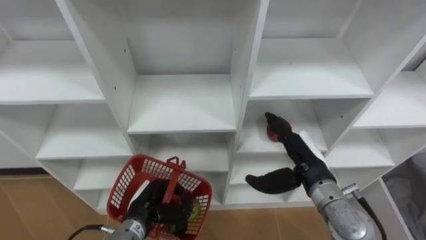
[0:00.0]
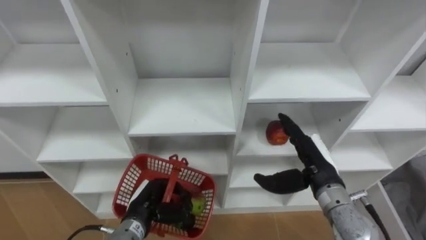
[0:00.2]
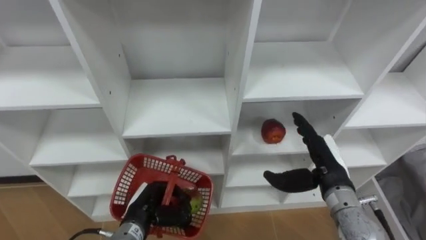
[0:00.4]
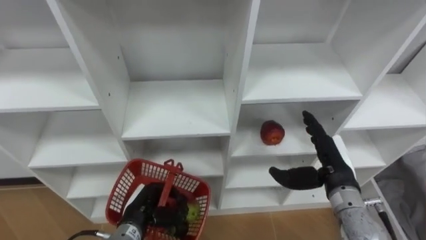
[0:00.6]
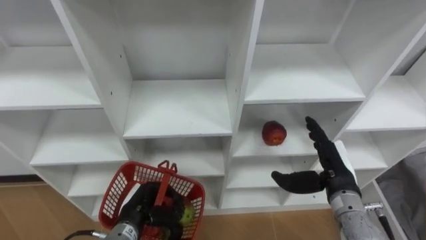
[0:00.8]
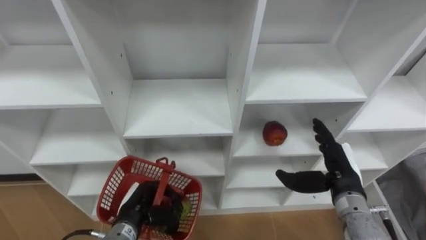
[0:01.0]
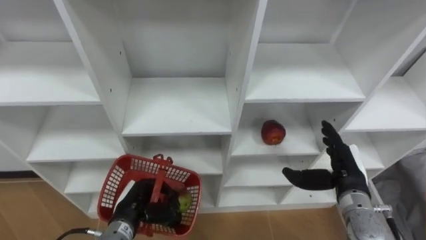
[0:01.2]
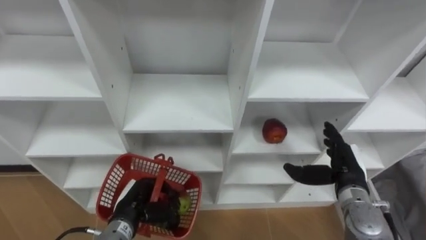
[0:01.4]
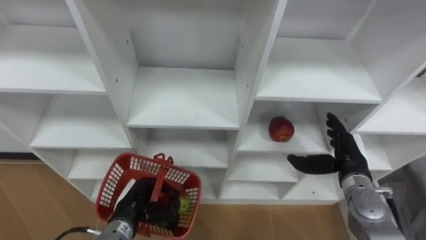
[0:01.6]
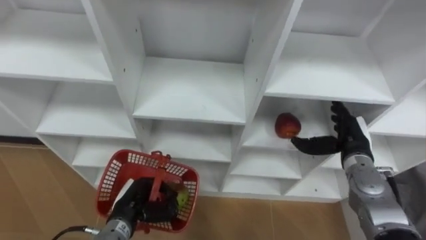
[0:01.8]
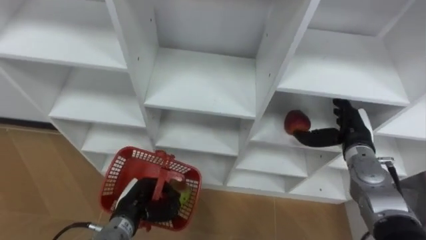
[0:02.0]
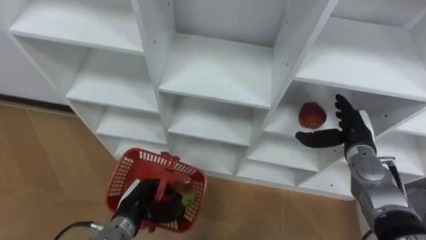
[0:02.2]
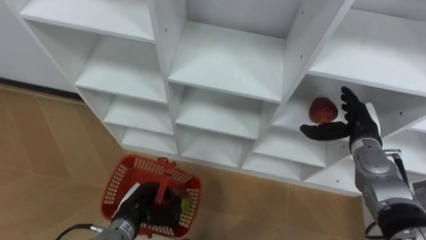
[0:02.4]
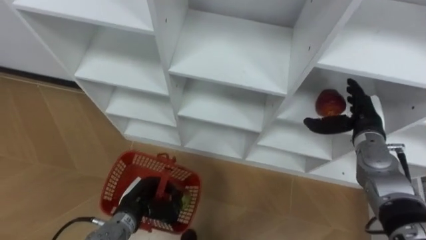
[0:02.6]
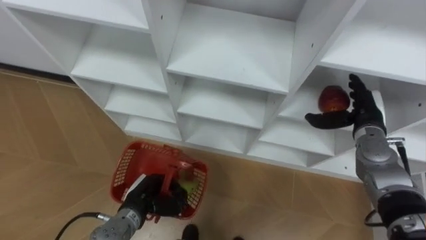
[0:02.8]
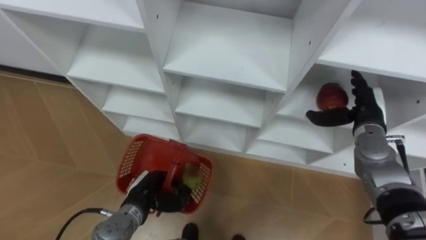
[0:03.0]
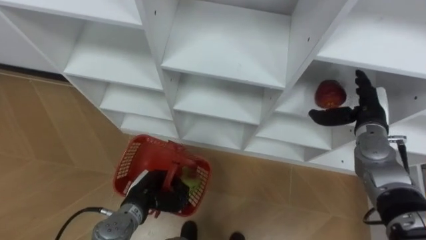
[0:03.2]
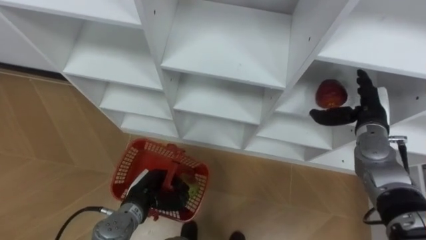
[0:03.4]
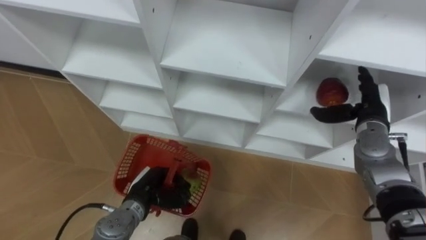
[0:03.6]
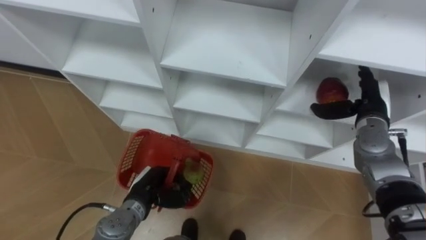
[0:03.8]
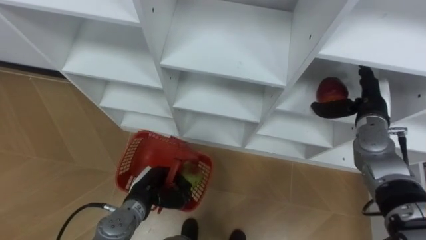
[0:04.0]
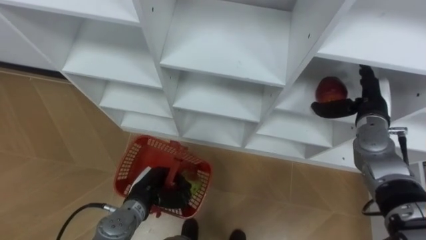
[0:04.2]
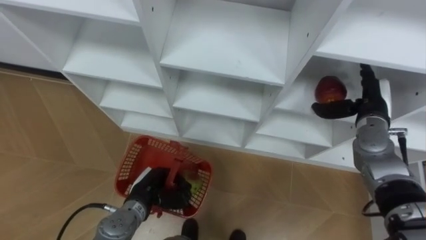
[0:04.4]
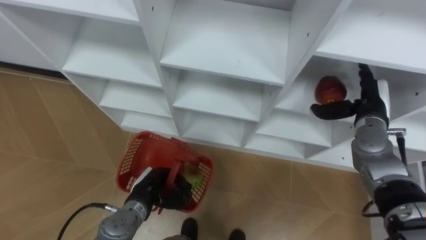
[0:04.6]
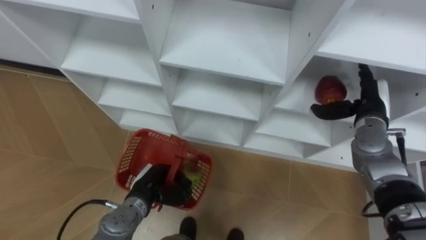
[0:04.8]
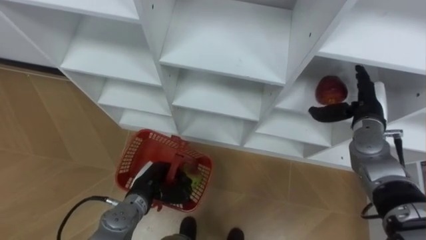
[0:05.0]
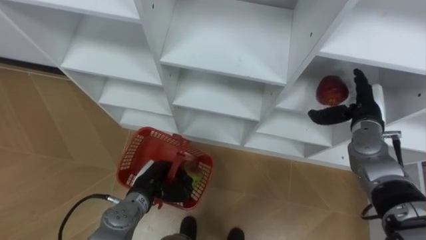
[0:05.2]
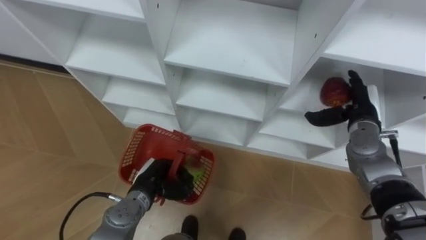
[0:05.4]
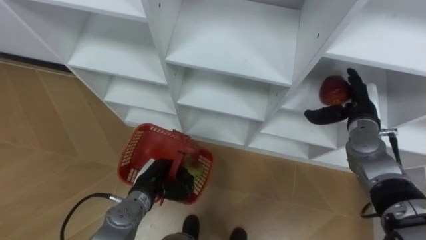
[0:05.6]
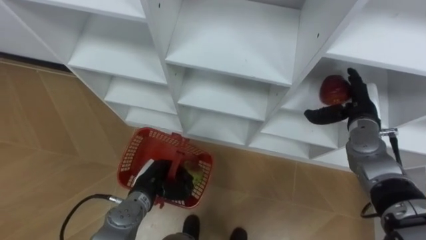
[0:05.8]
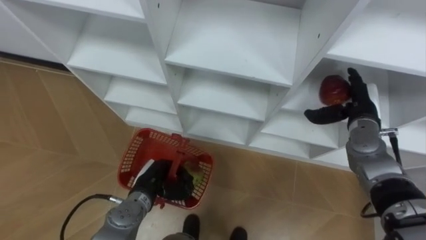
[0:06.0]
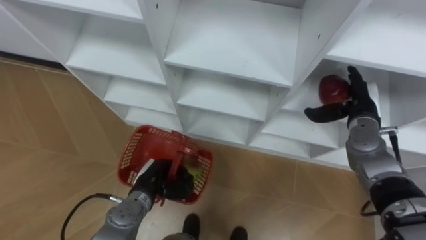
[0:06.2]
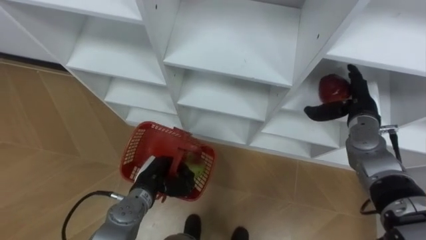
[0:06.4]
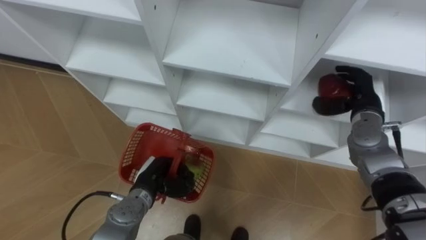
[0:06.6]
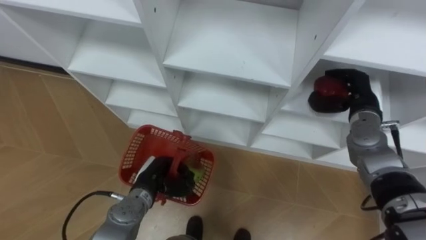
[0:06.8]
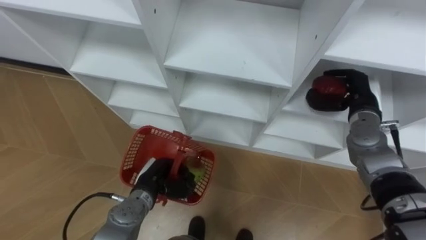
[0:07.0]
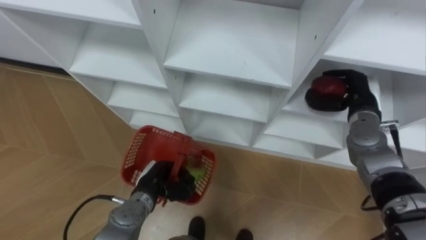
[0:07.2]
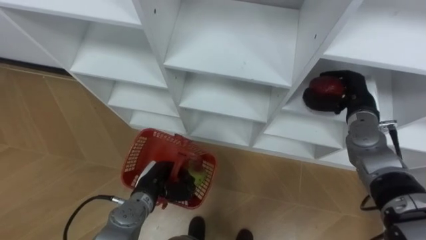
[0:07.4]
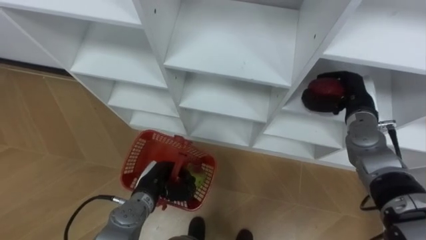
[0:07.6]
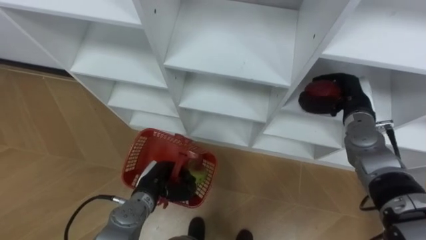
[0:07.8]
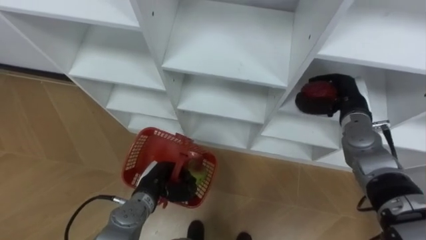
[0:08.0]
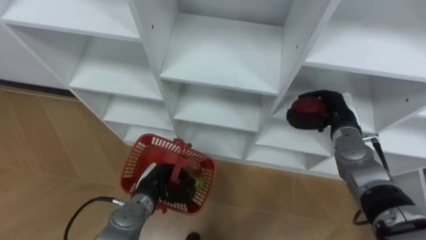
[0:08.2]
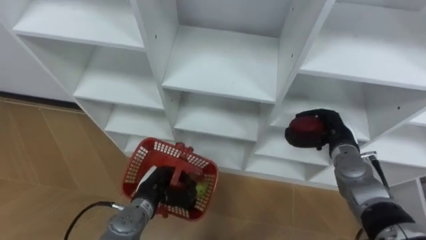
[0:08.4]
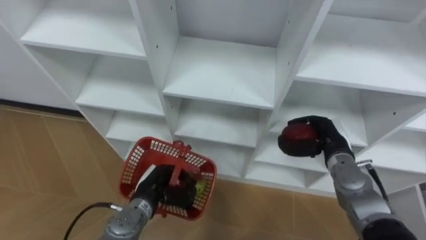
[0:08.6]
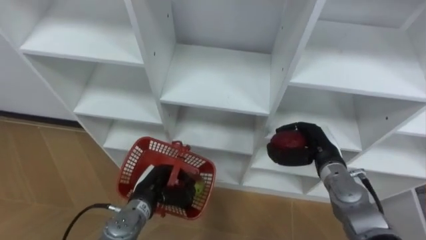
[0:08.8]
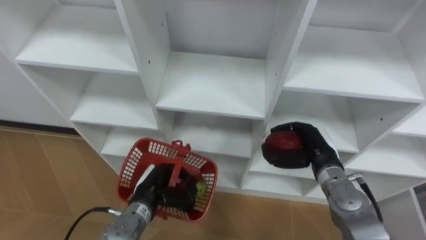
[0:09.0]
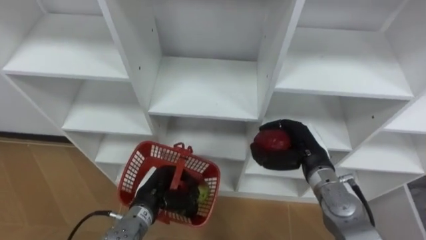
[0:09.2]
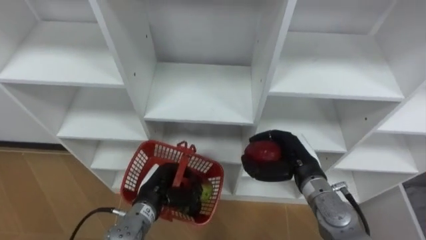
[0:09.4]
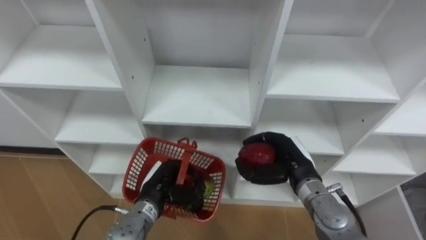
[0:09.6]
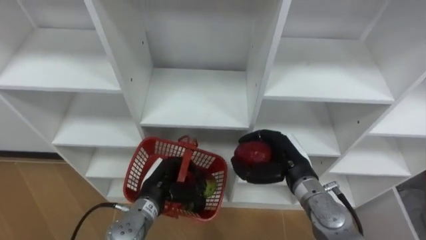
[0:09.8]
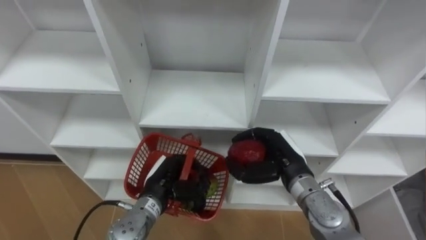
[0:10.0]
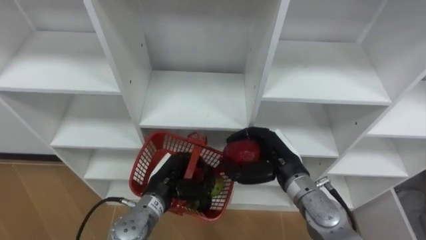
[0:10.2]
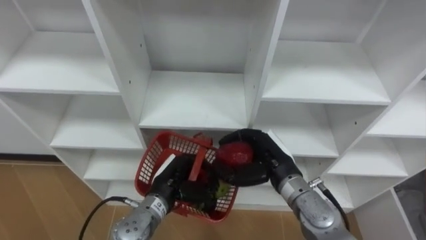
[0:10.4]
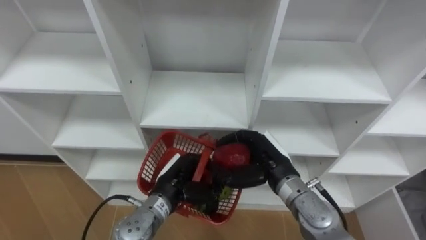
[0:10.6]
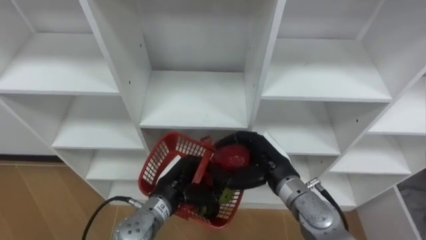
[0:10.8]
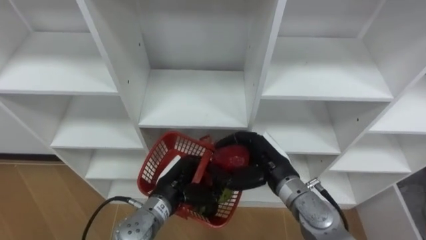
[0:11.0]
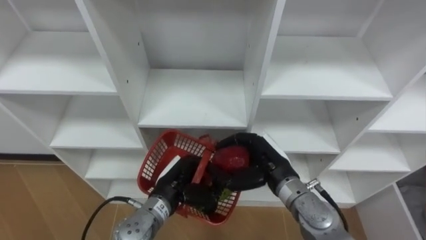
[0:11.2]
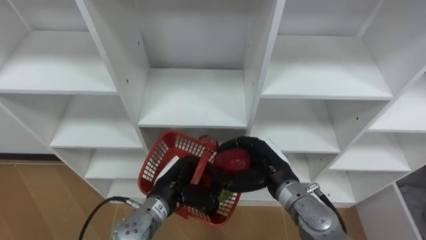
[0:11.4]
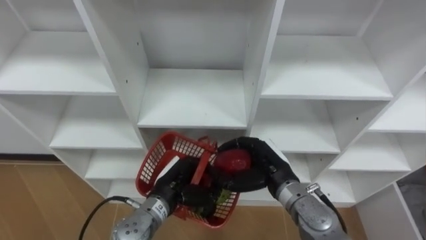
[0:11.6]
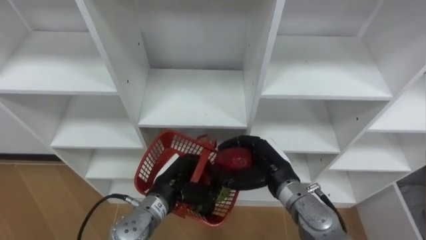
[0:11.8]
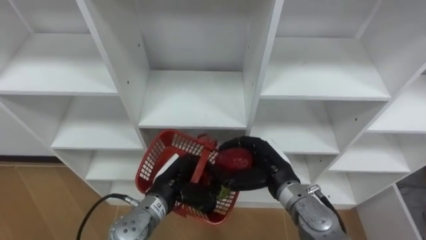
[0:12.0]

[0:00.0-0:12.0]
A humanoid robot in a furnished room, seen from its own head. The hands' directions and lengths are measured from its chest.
Task of the whole recording: Hold the basket and collect the fruits from 3 different cells of the closet into it.
0:00.0 to 0:01.6: The right hand travels to the right by roughly 10 cm.
0:01.6 to 0:03.0: The right hand is displaced forward and upward by some 10 cm.
0:04.4 to 0:06.0: There are only small adjustments of the hands.
0:06.0 to 0:07.6: The right hand closes its fingers.
0:07.6 to 0:09.0: The right hand moves backward, to the left and downward, about 10 cm.
0:09.0 to 0:10.4: The left hand ends up approximately 5 cm from where it was, while the right hand travels to the left by roughly 10 cm.
0:10.4 to 0:12.0: The hands make only small movements.

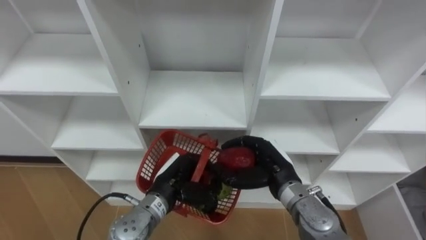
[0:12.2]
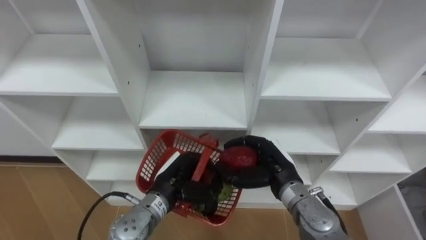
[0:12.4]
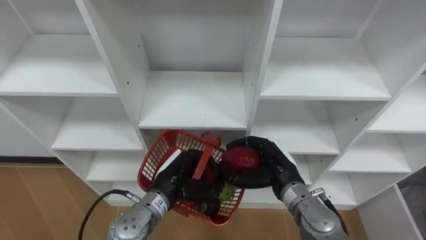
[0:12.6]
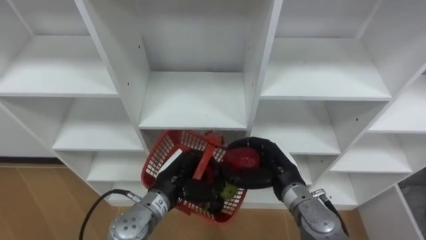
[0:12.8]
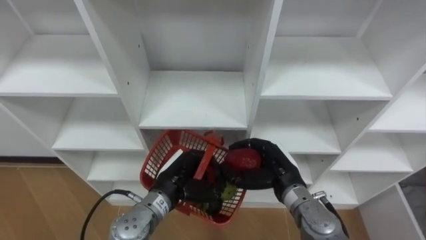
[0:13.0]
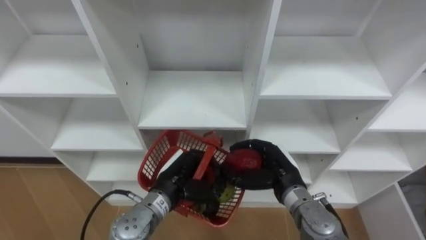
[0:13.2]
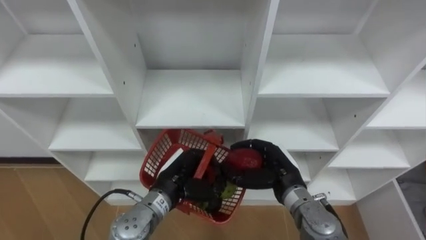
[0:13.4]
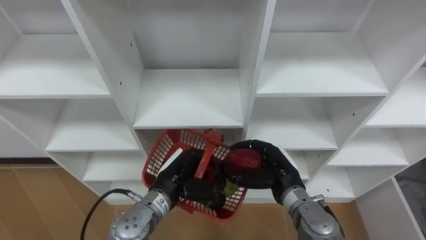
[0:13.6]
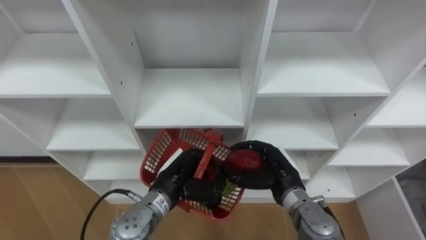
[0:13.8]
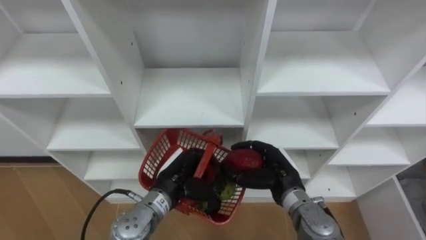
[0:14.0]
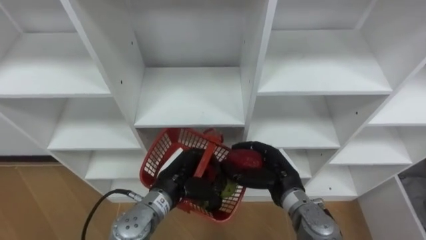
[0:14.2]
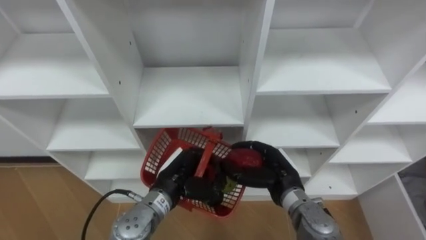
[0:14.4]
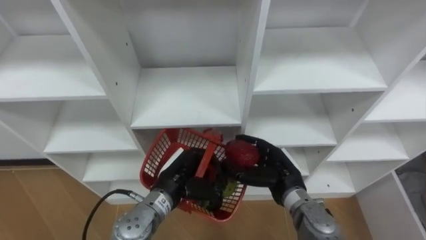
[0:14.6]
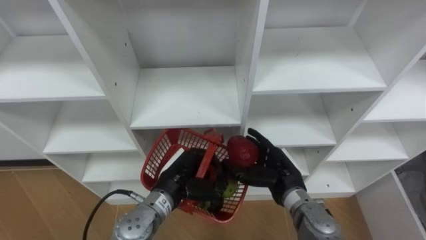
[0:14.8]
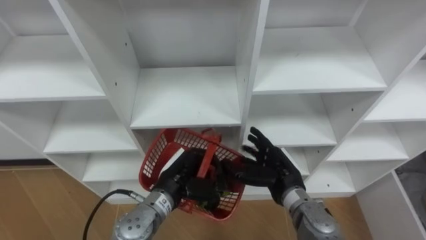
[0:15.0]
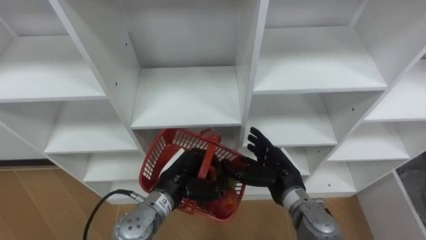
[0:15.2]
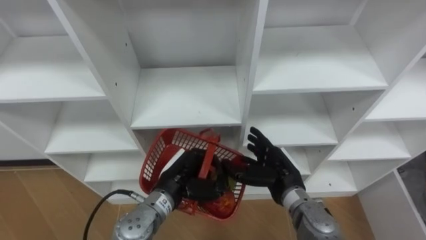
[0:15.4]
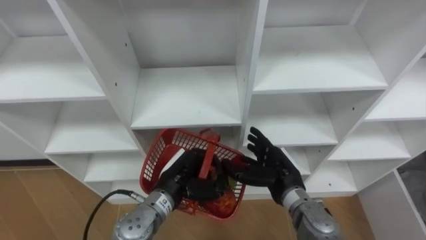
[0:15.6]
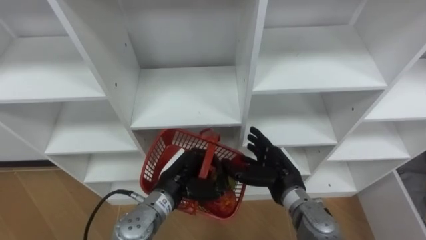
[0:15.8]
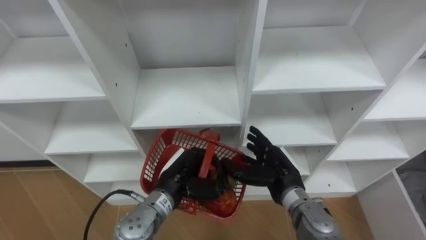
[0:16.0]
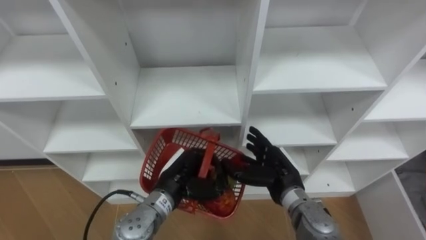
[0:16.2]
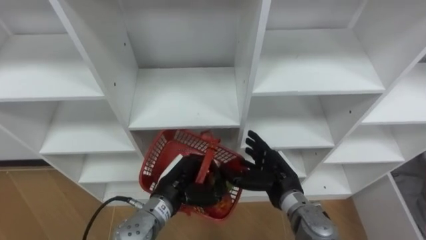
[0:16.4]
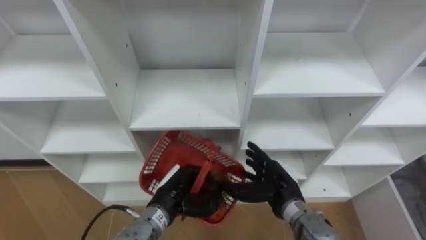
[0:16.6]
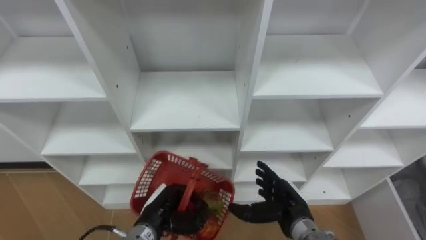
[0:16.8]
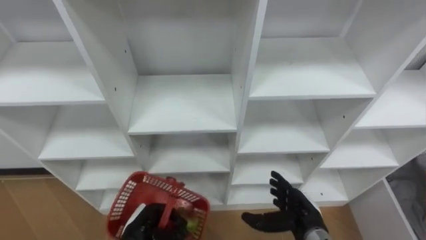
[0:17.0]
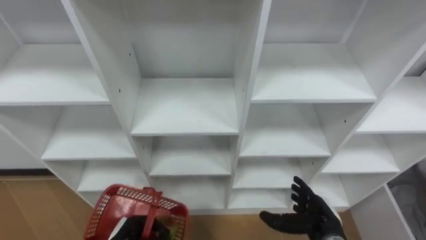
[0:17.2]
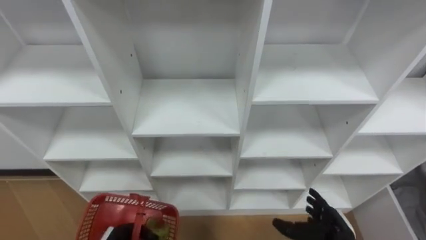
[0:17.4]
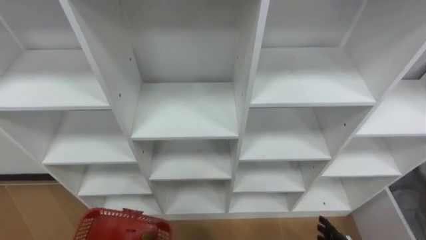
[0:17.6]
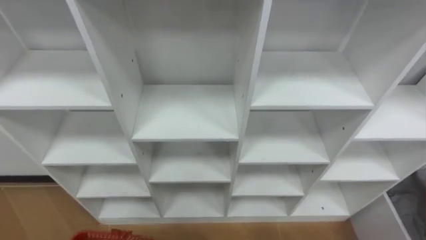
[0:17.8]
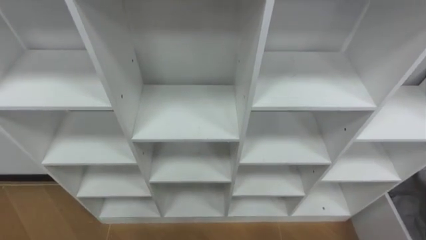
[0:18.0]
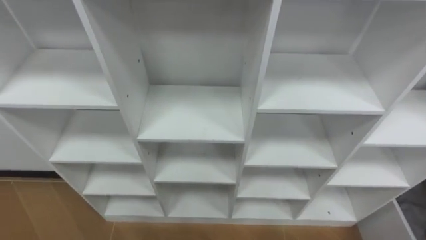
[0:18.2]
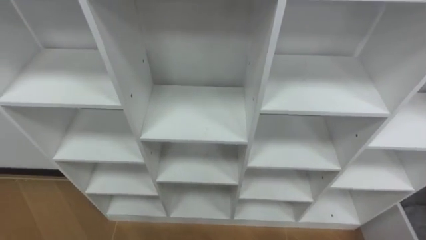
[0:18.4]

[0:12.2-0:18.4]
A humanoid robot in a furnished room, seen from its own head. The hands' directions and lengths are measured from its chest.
Task of the whole recording: Hold the basket and collect the fruits from 3 different cells of the closet into it.
0:12.2 to 0:13.8: The hands stay close to where they were, moving slightly.
0:13.8 to 0:15.4: The right hand opens up.
0:15.4 to 0:16.8: The left hand travels downward by roughly 5 cm; the right hand shifts by roughly 5 cm.
